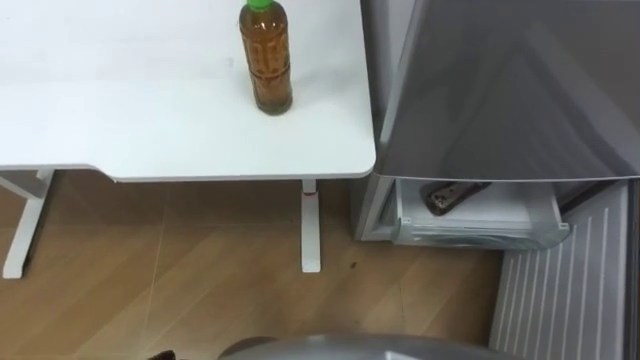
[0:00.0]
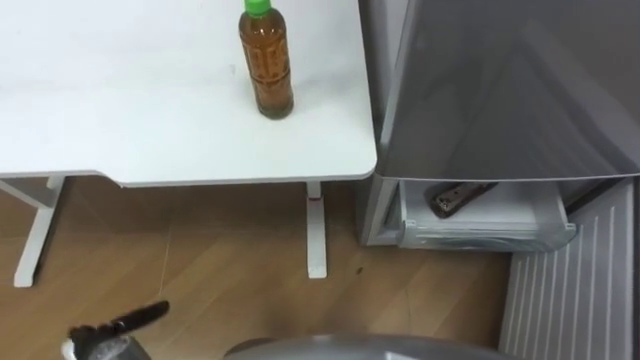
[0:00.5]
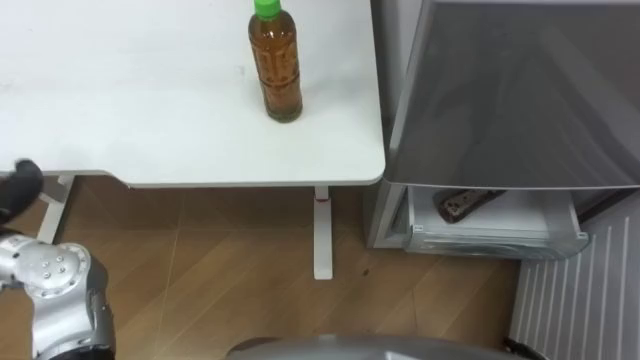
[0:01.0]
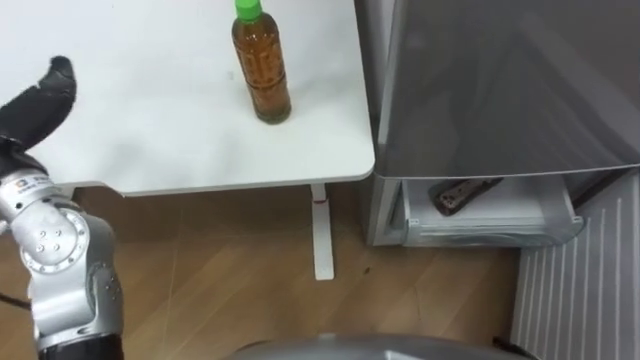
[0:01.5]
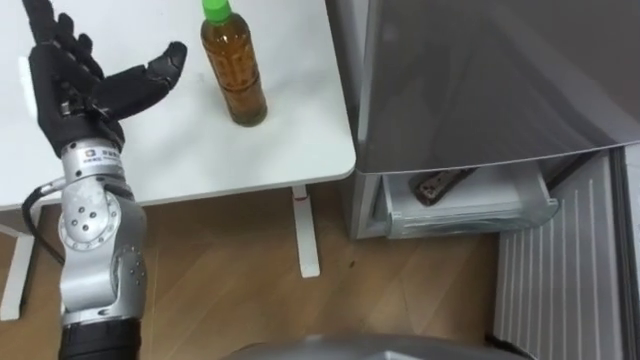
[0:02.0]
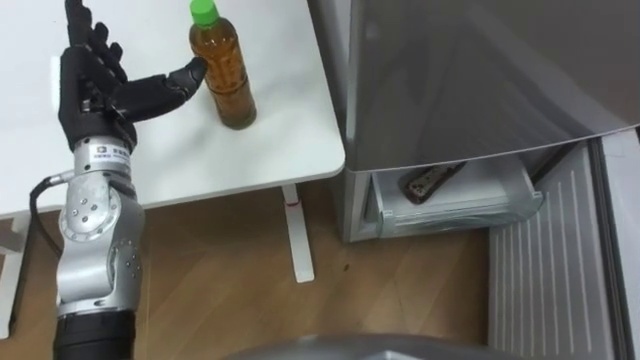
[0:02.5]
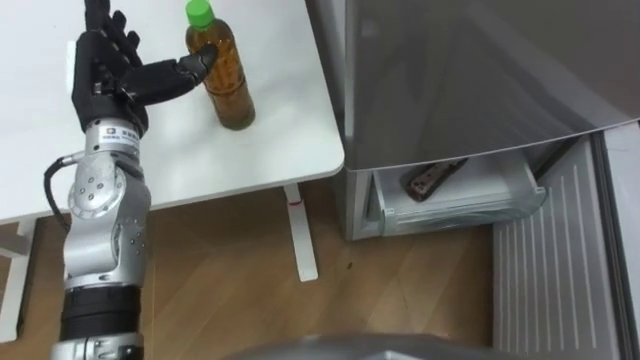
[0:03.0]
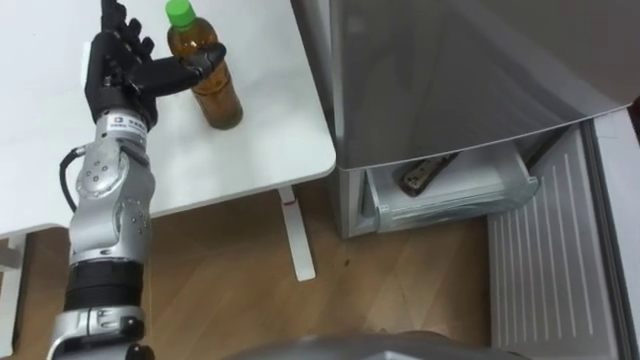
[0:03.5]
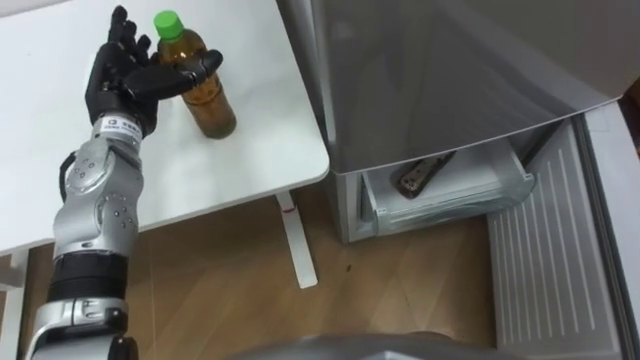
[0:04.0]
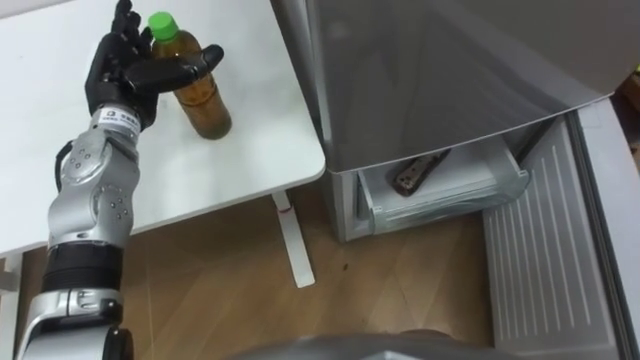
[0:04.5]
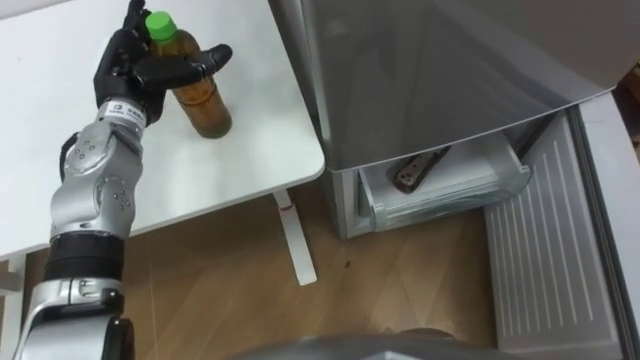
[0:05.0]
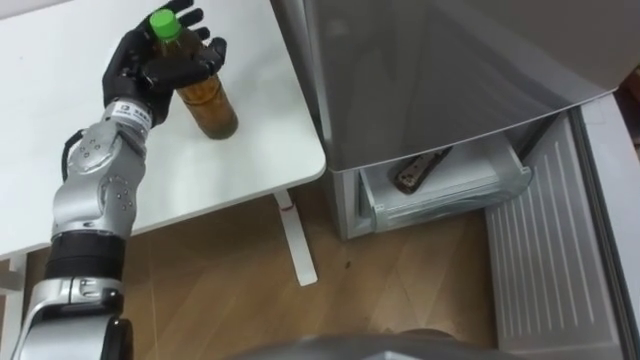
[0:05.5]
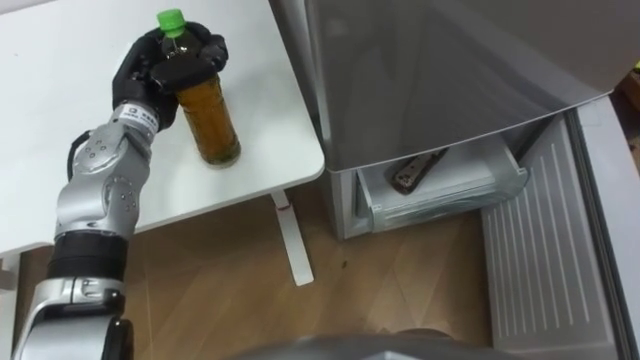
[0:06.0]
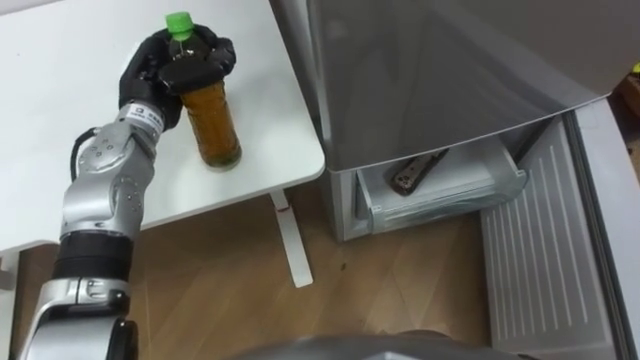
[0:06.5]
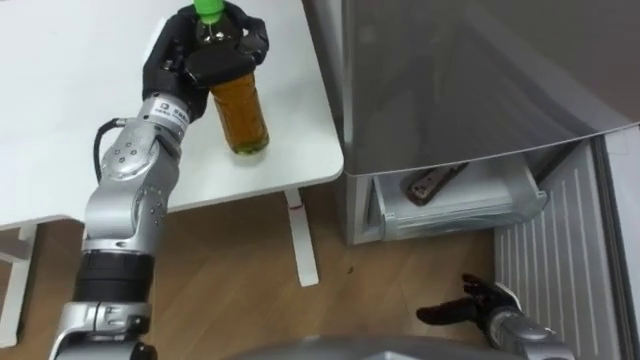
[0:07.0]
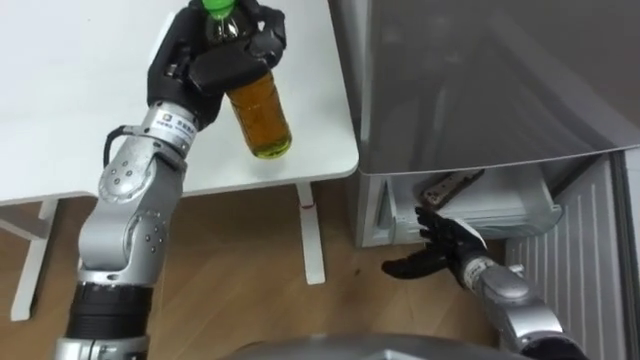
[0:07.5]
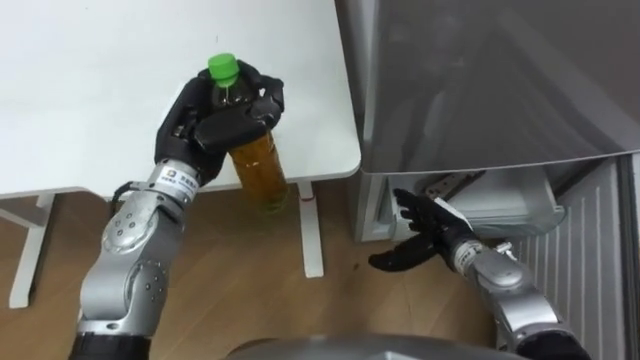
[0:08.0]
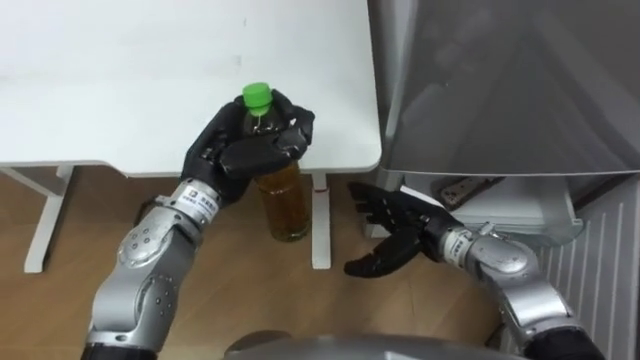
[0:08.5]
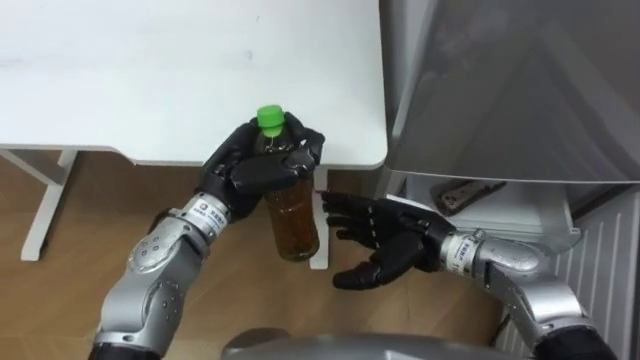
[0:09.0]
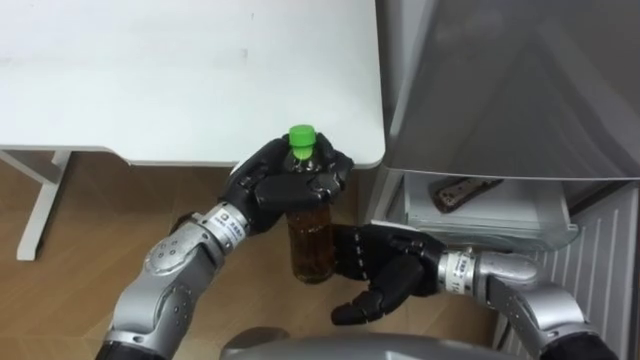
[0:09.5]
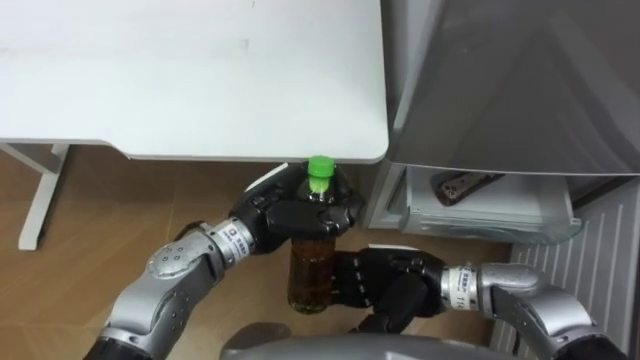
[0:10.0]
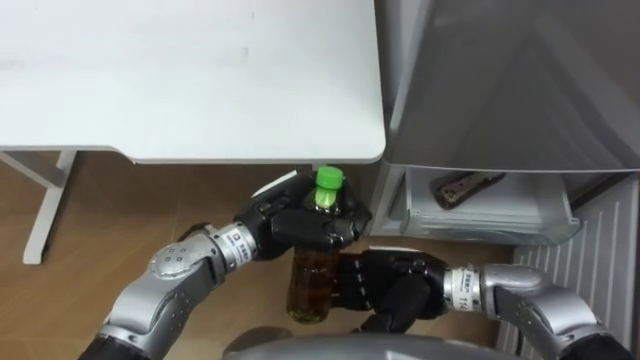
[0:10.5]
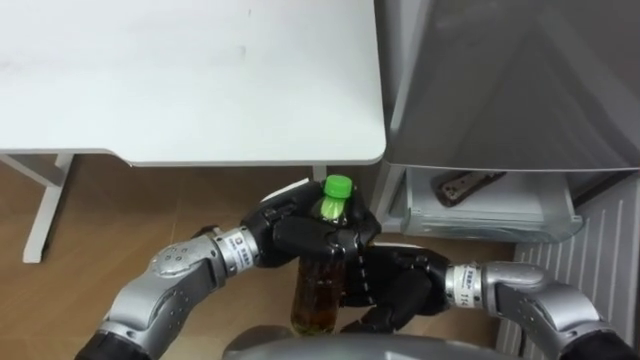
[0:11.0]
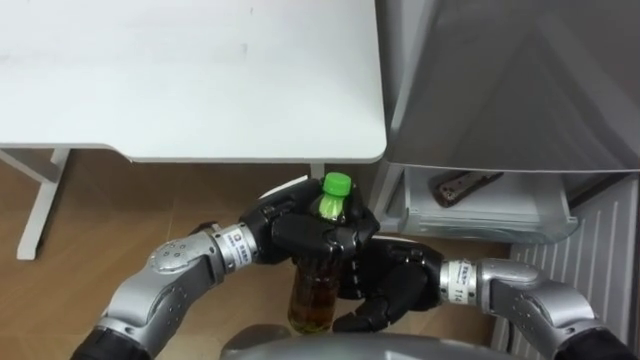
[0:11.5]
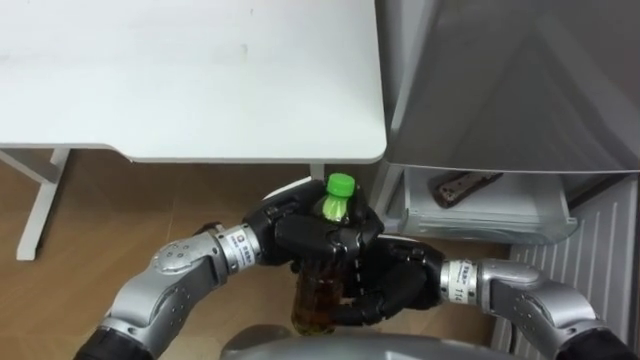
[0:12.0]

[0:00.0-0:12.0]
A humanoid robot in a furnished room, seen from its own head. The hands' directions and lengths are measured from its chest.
Task of the whole recording: Place the drink on the table on the bottom shelf of the refrigerator, then close the drawer and the refrigerator door.
0:02.0 to 0:04.0: The left hand is displaced forward and downward by roughly 10 cm.
0:04.0 to 0:06.0: The left hand closes.
0:06.0 to 0:08.0: The left hand travels backward and to the right by approximately 10 cm.
0:08.0 to 0:10.0: The right hand moves to the left, backward and upward, about 10 cm, while the left hand is displaced to the right, downward and backward by approximately 15 cm.

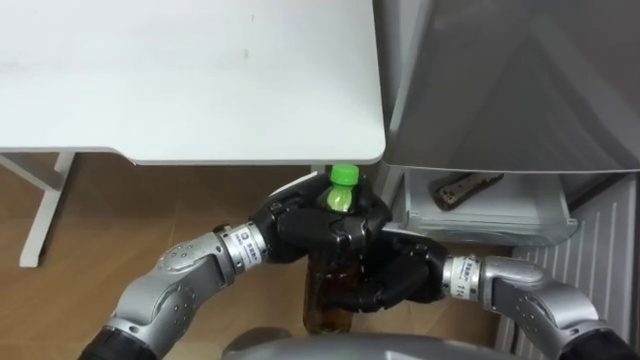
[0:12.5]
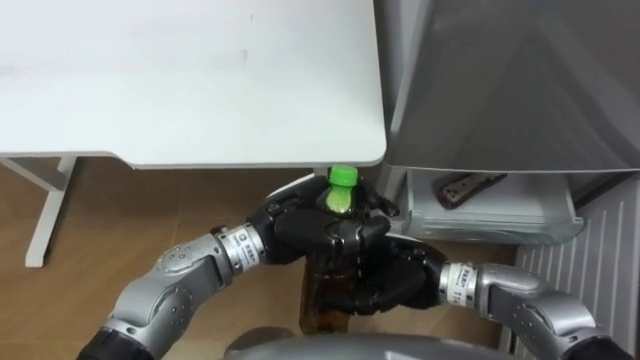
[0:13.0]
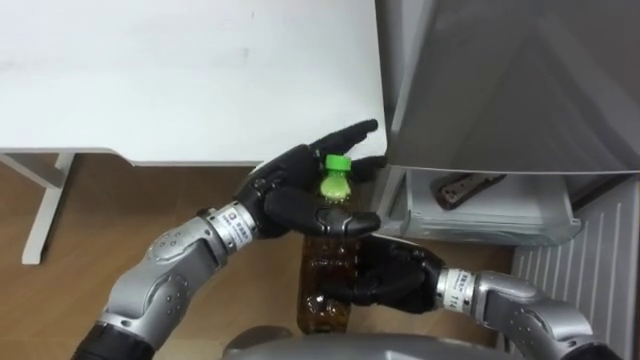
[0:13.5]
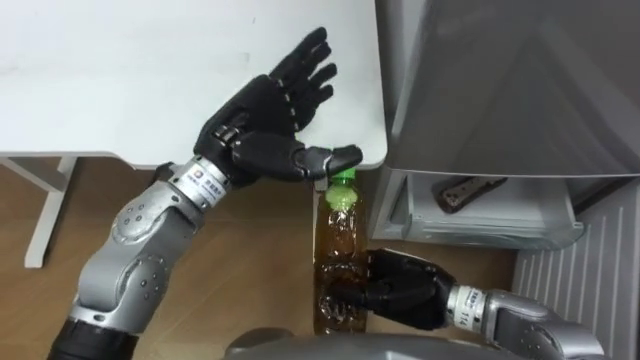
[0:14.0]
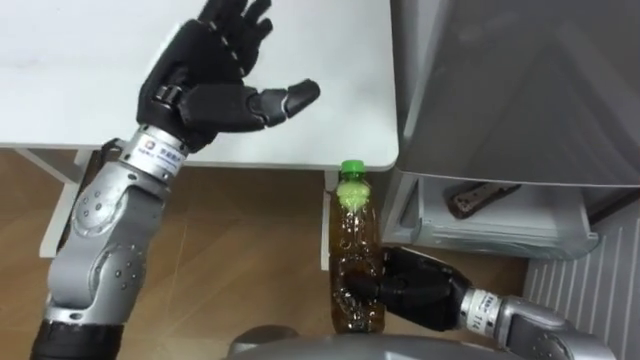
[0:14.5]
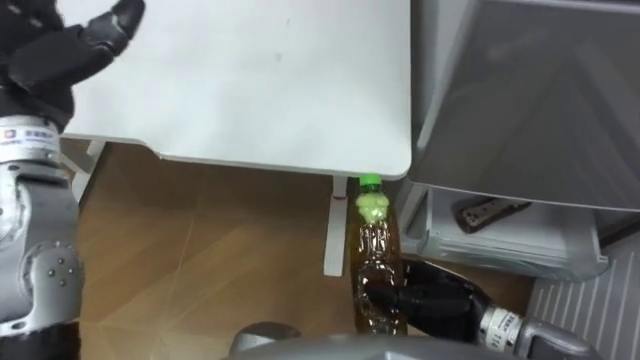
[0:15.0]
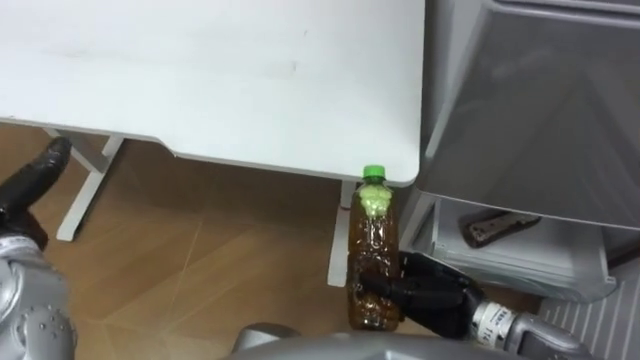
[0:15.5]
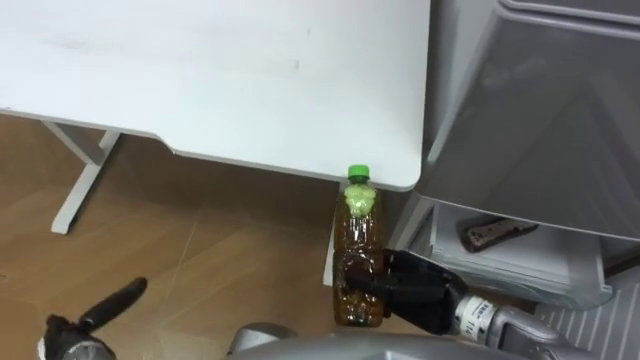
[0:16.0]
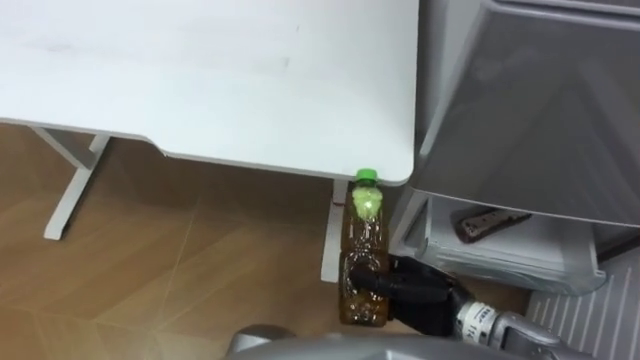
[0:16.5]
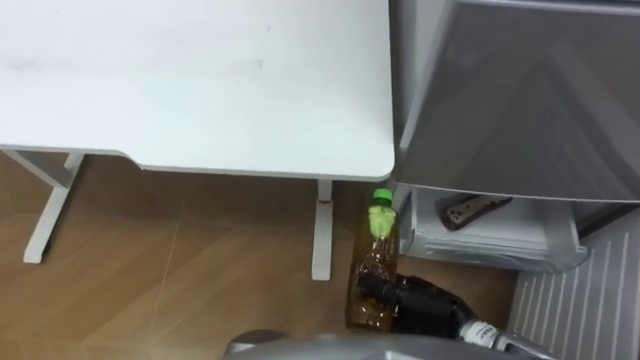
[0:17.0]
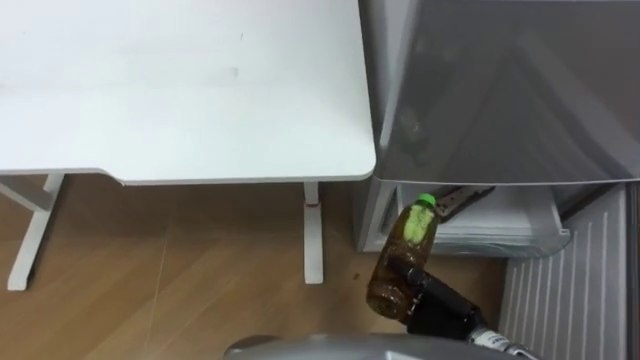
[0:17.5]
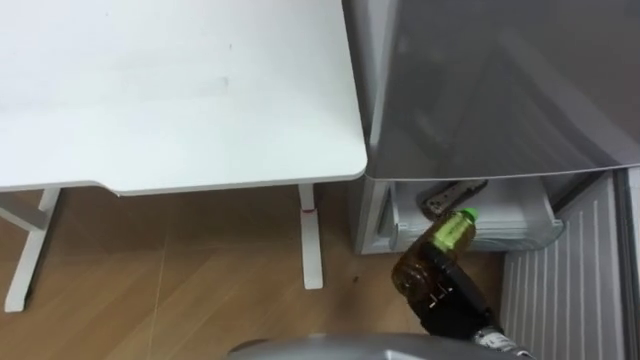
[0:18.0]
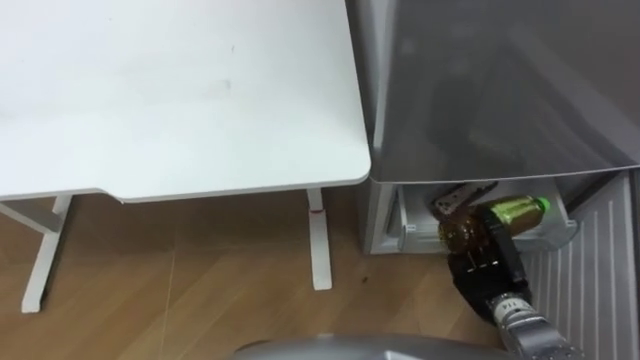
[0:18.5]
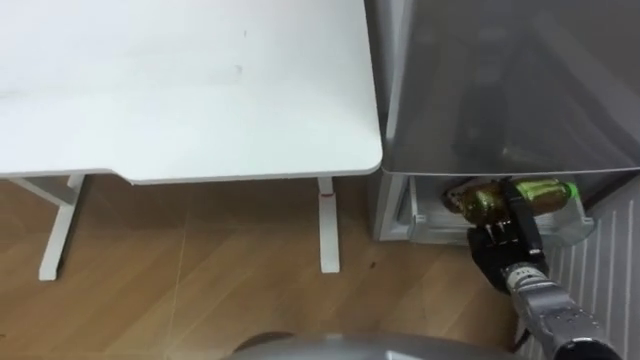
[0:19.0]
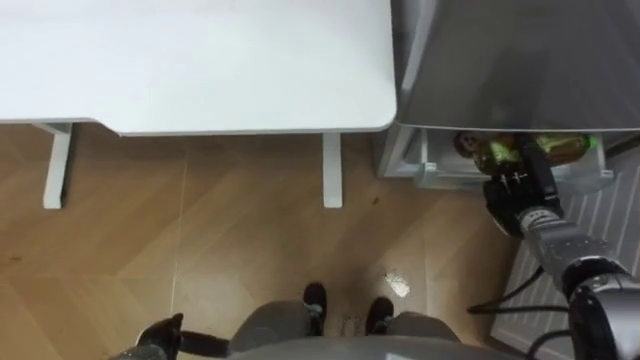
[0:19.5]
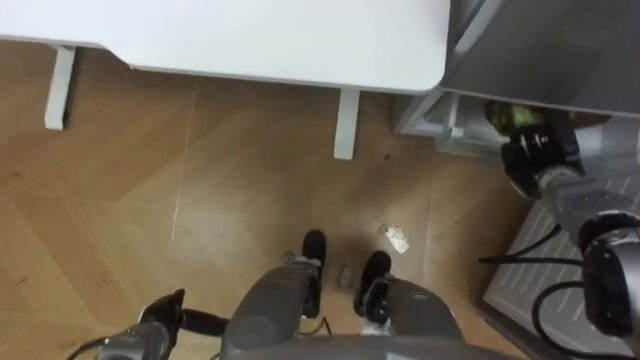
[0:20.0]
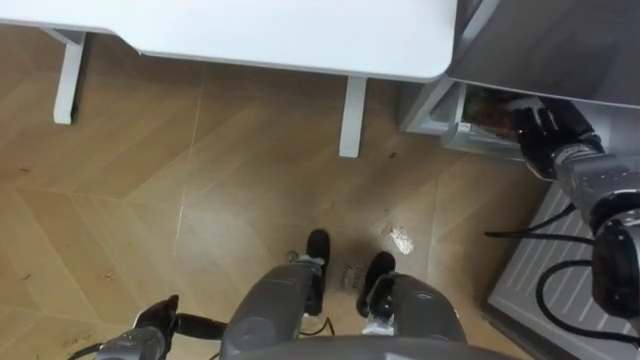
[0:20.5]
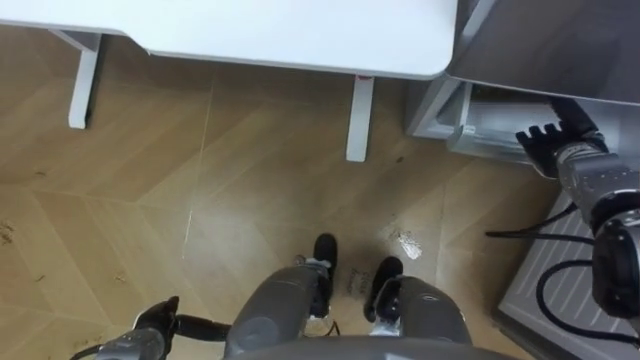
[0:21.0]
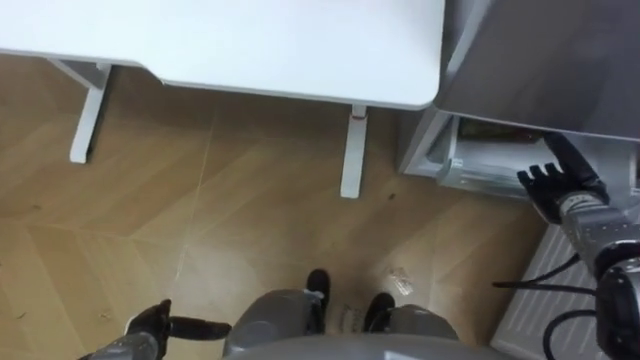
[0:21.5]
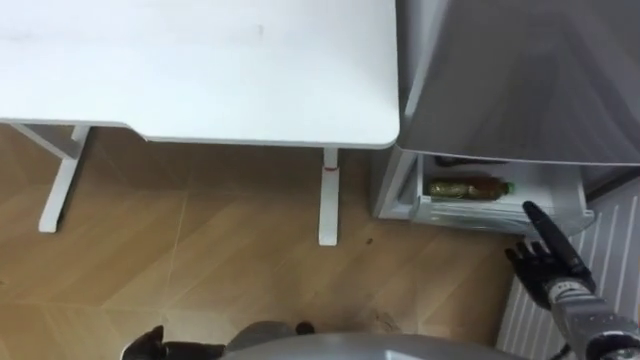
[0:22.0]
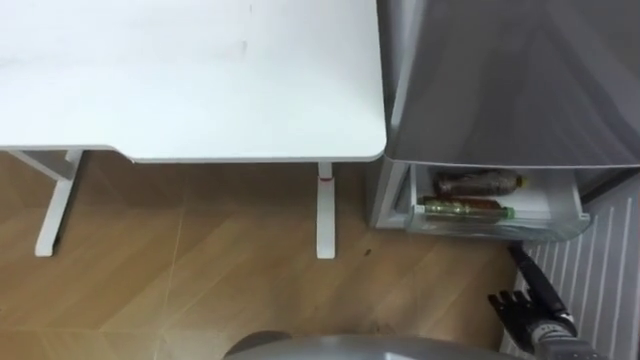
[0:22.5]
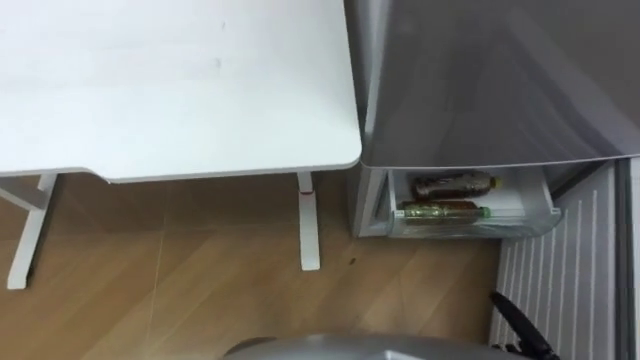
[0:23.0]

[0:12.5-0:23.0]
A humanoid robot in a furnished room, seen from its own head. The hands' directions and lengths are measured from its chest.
Task of the whole recording: Place the drink on the table on the bottom shelf of the refrigerator, then close the drawer and the refrigerator door.
0:12.5 to 0:14.5: The left hand shifts approximately 15 cm upward, to the left and forward, and opens.
0:16.5 to 0:19.0: The right hand heads to the right and downward, covering approximately 15 cm.
0:19.0 to 0:21.0: The right hand is displaced forward, upward and to the right by roughly 20 cm, and opens up.
0:21.0 to 0:23.0: The right hand goes roughly 30 cm backward and downward.
